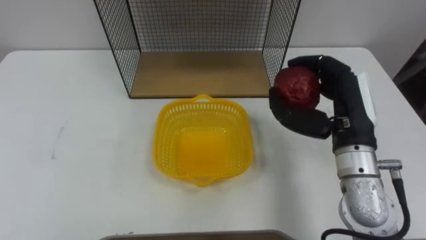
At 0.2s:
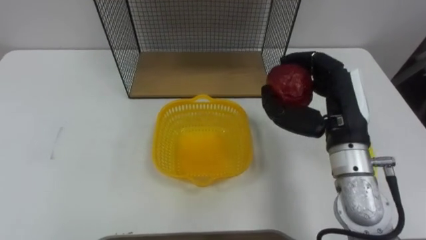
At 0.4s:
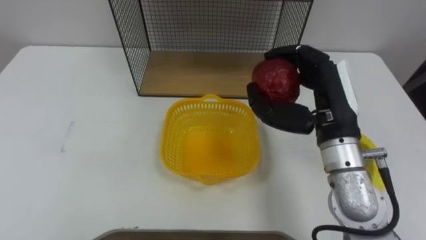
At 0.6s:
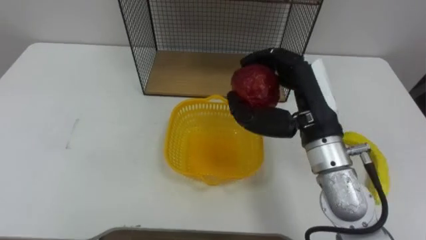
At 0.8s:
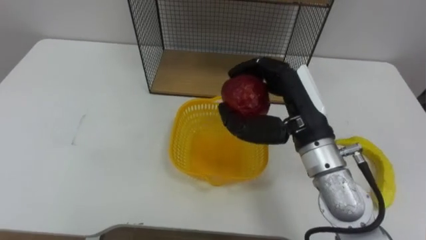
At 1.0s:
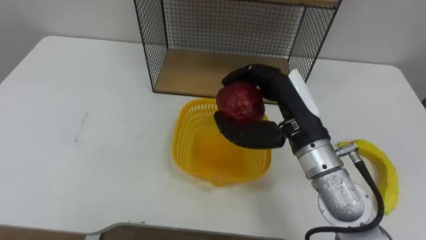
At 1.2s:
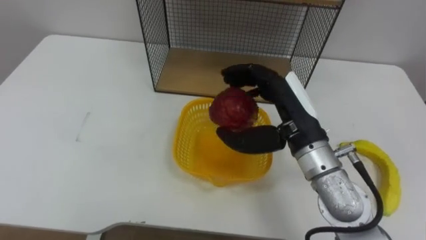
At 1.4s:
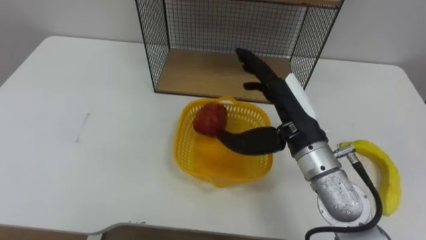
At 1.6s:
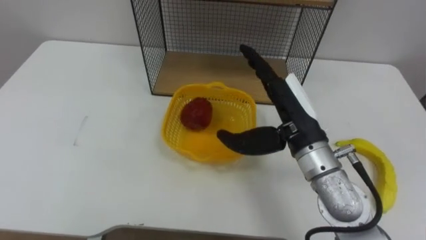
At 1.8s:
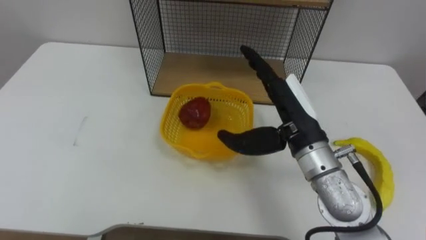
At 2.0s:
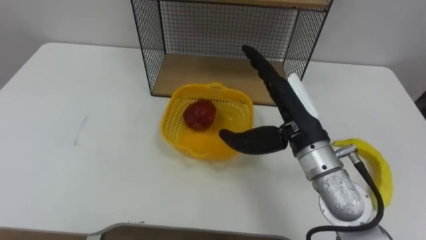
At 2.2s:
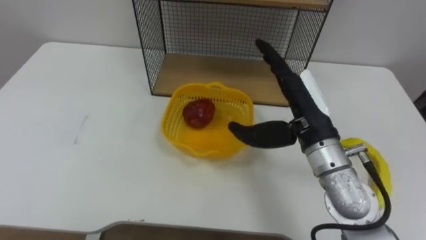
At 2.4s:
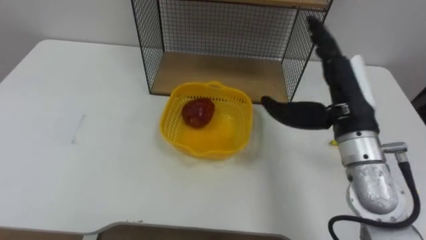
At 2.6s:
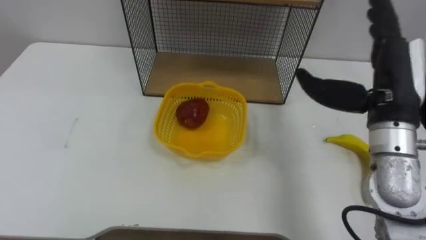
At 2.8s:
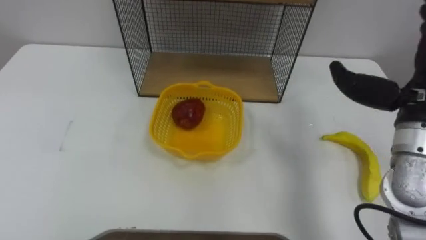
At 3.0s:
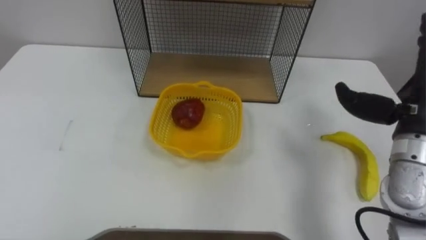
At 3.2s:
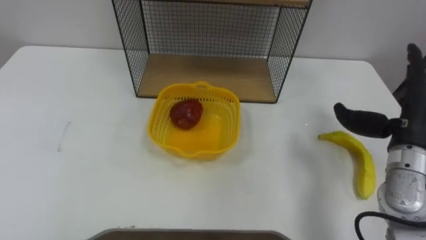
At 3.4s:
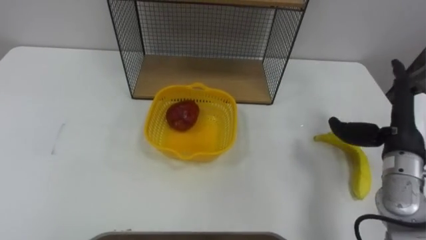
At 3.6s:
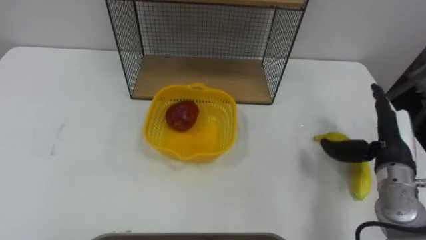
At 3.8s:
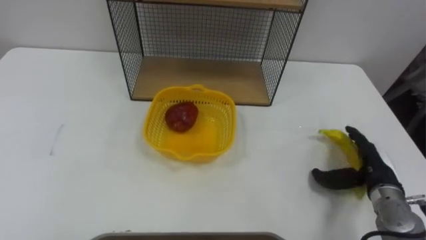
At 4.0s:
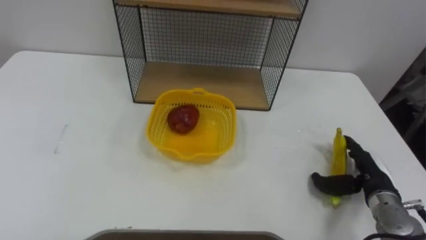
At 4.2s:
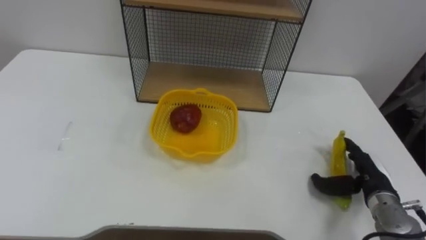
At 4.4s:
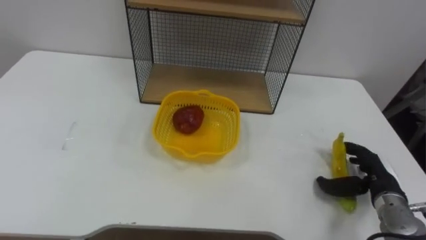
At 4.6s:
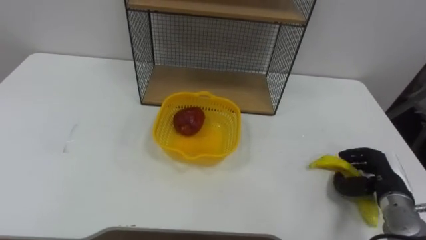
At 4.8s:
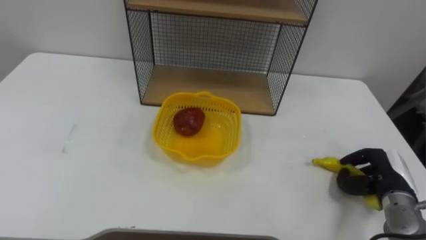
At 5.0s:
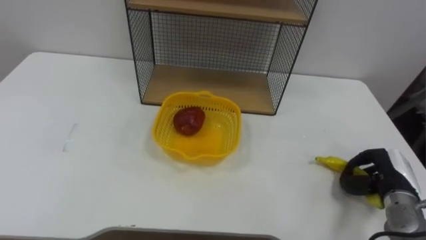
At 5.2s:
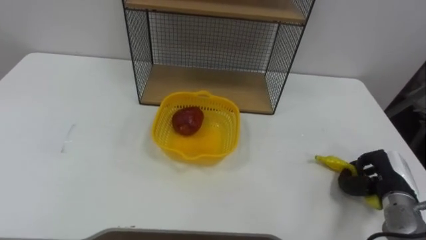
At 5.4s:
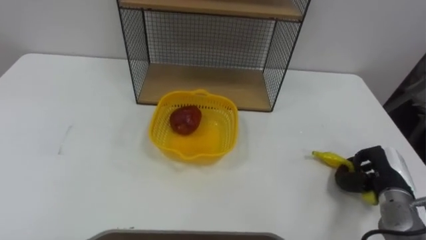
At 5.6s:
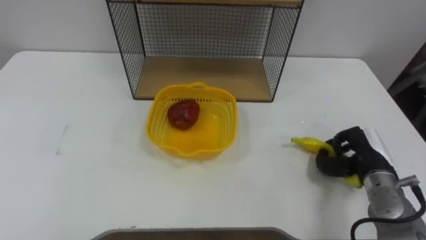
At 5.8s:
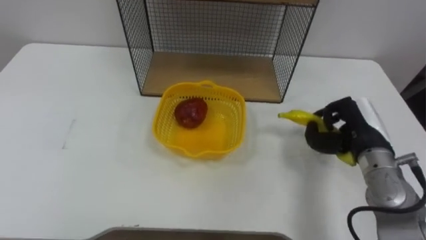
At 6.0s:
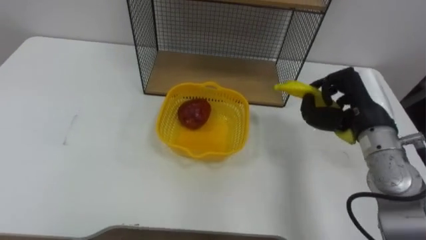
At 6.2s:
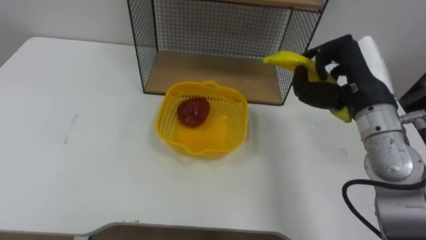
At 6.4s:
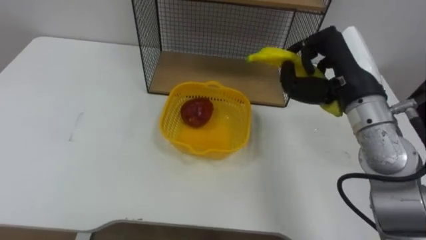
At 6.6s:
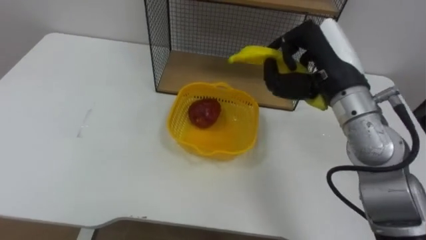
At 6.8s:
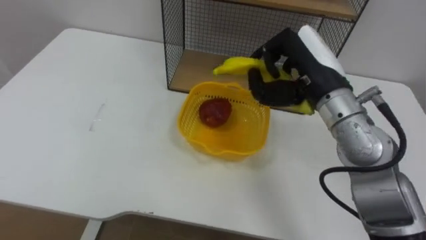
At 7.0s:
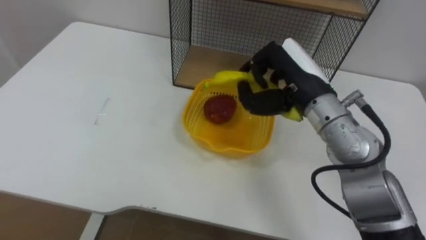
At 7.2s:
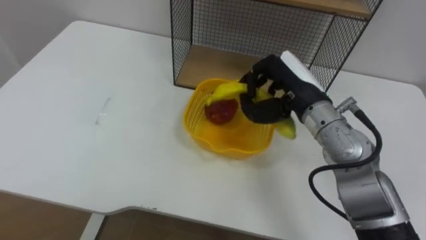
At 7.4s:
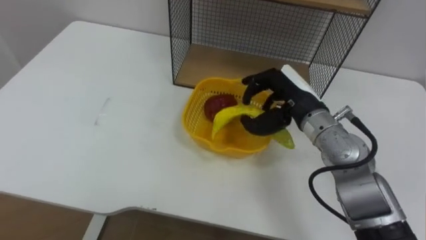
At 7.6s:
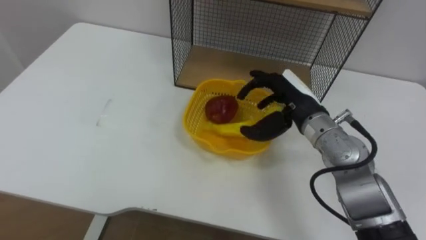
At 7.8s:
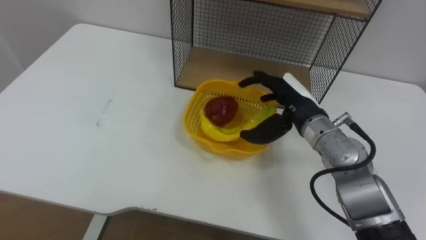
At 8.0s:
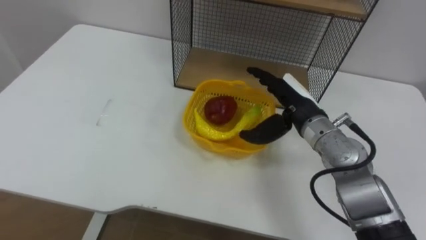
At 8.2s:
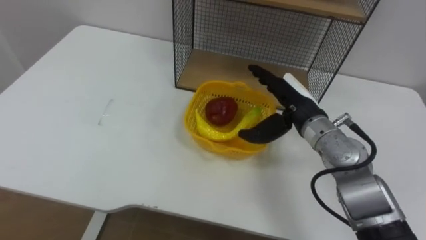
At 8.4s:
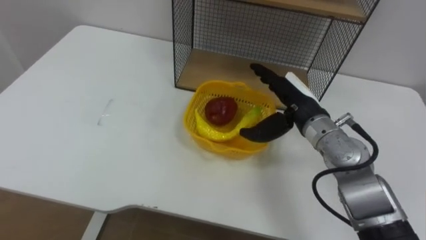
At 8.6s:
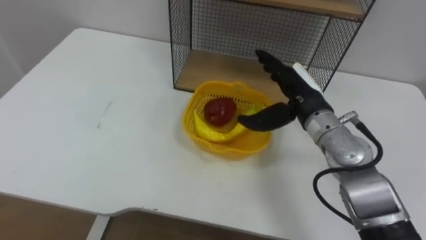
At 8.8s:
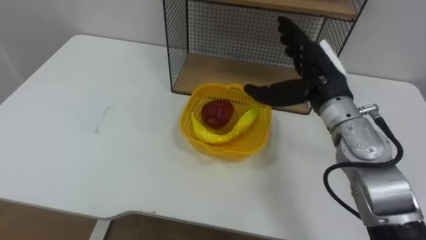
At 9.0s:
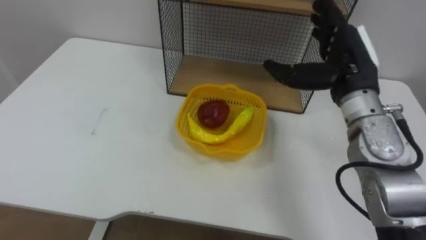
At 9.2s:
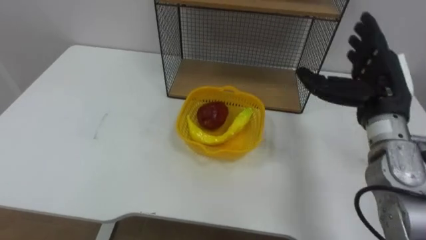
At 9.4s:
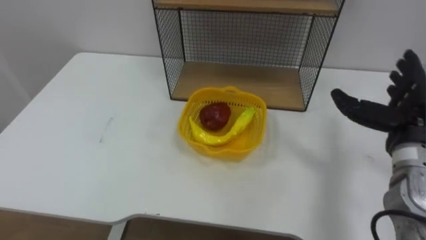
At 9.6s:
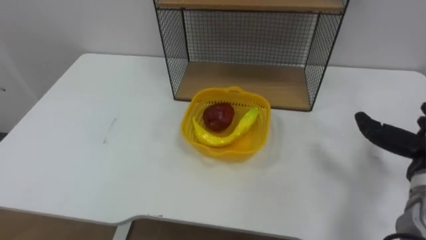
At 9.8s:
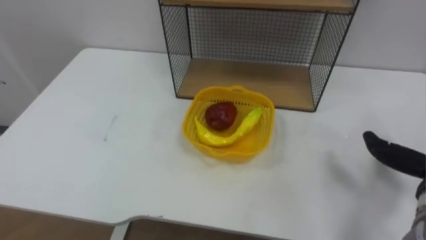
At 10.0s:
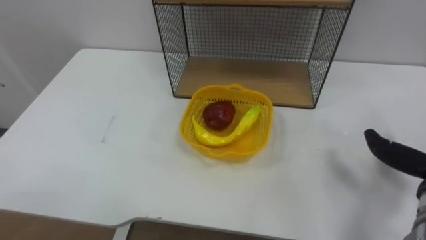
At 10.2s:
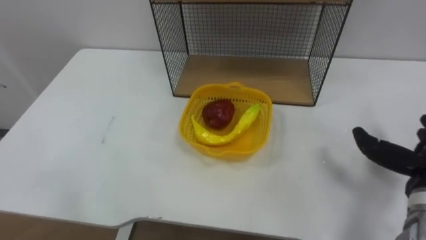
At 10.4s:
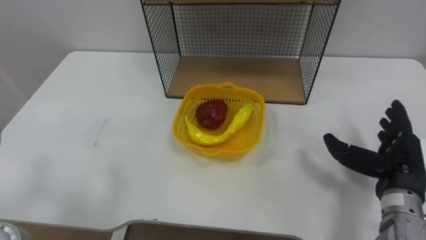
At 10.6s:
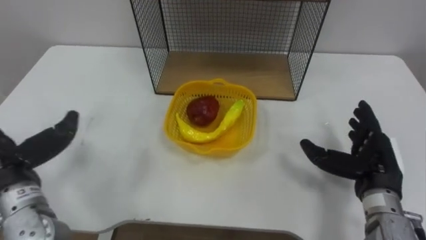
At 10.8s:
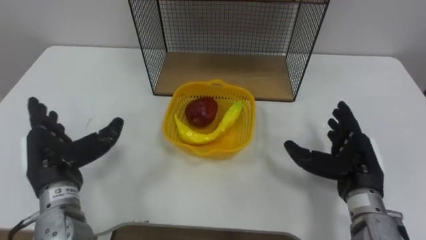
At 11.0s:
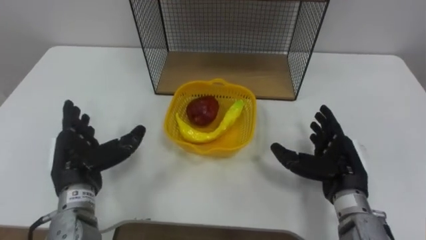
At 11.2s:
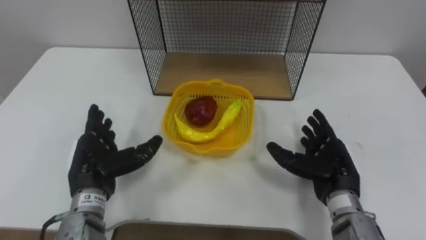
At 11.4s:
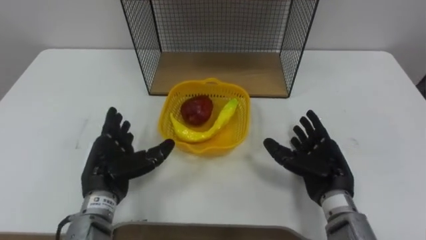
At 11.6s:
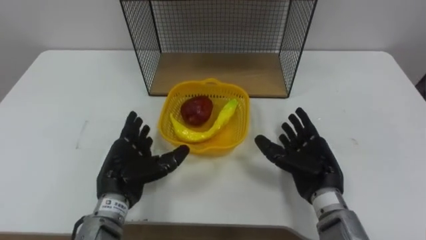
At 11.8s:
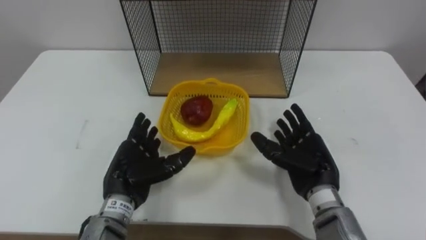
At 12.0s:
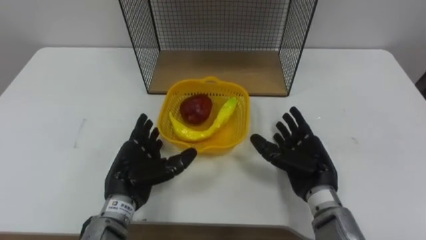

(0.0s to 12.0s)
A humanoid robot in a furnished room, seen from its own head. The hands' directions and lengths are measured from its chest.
Task of the whole recording: Put the fruit on the table into the basket, then place the basket on the shelf.
0.0s - 1.6s: The right hand is displaced to the left by some 10 cm, and opens its fingers.
3.0s - 4.4s: The right hand shifts roughly 20 cm downward.
4.4s - 6.0s: The right hand is displaced upward, to the left and forward by about 20 cm, and closes.
6.0s - 7.6s: The right hand goes approximately 10 cm to the left, and opens up.
7.6s - 9.0s: The right hand is displaced upward and to the right by some 10 cm.
10.4s - 12.0s: The right hand shifts some 15 cm to the left.

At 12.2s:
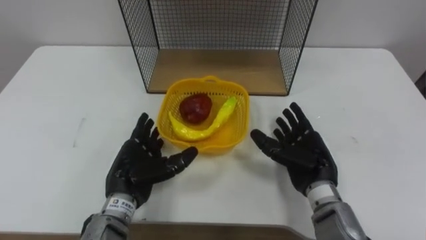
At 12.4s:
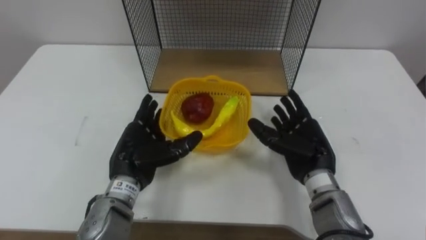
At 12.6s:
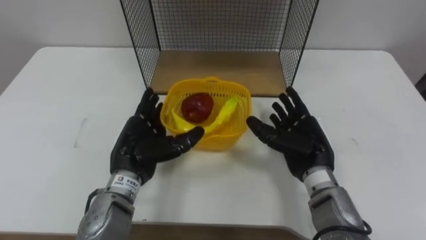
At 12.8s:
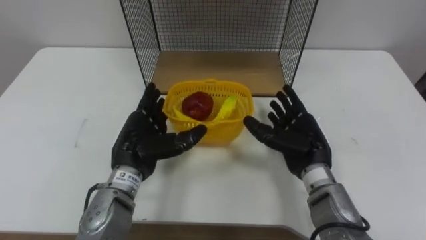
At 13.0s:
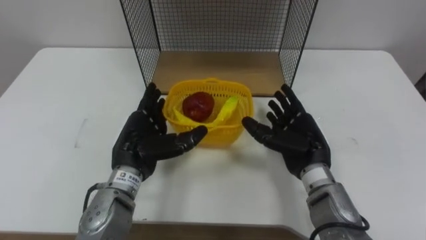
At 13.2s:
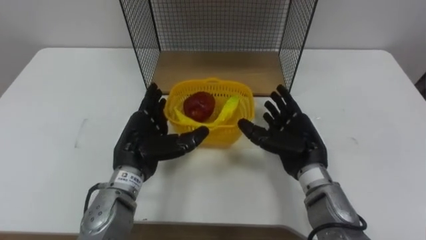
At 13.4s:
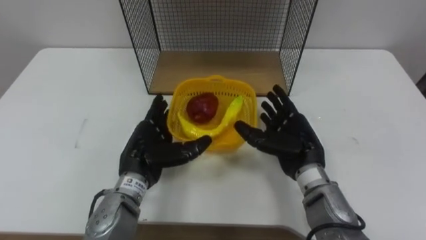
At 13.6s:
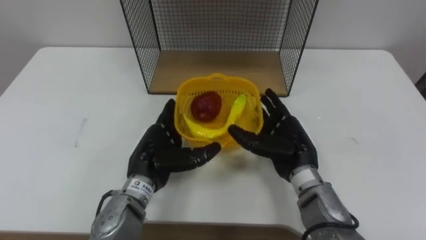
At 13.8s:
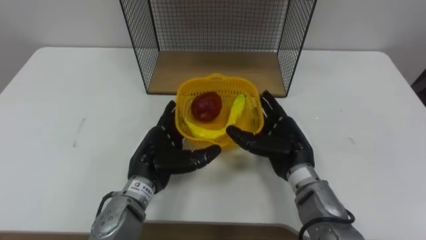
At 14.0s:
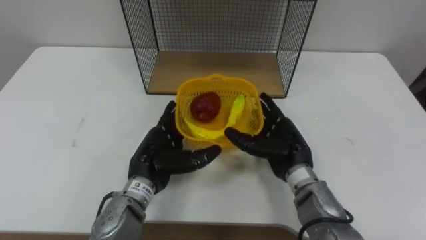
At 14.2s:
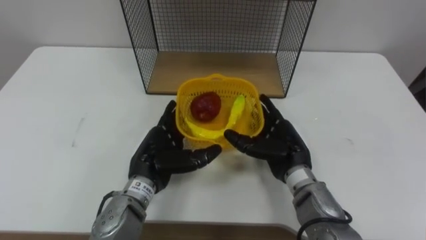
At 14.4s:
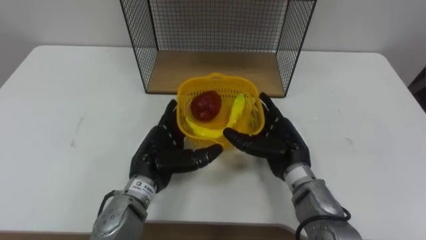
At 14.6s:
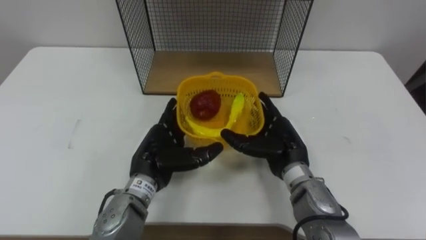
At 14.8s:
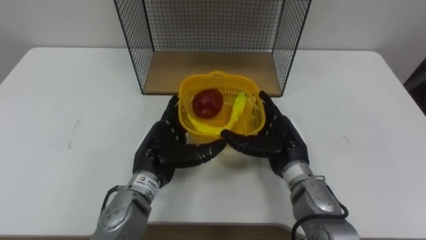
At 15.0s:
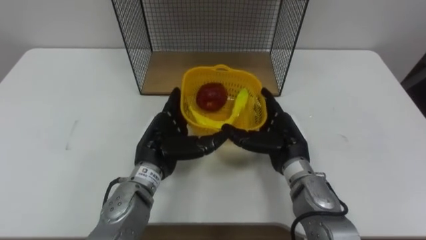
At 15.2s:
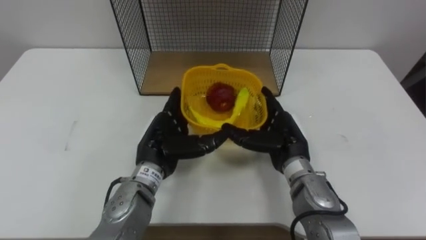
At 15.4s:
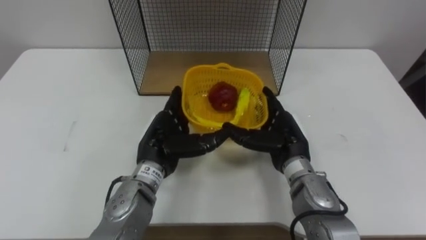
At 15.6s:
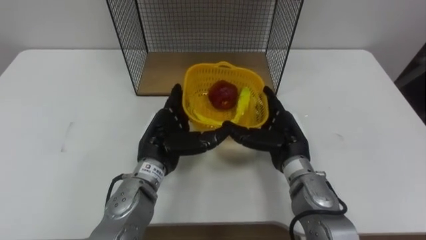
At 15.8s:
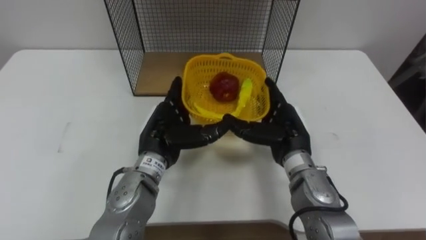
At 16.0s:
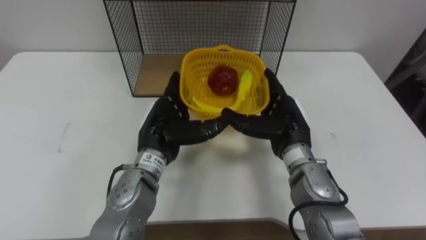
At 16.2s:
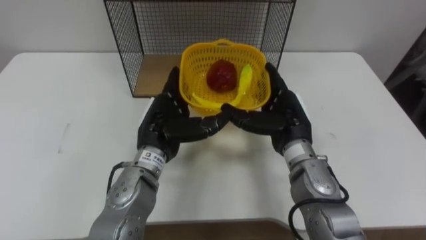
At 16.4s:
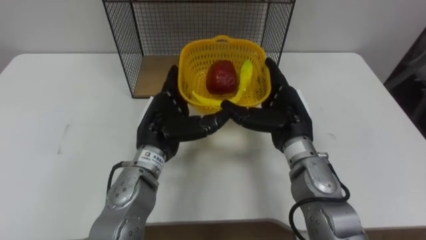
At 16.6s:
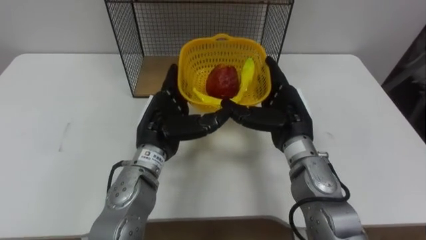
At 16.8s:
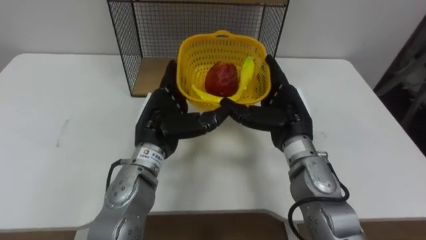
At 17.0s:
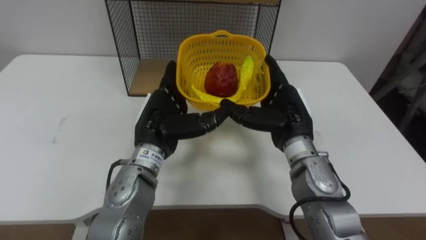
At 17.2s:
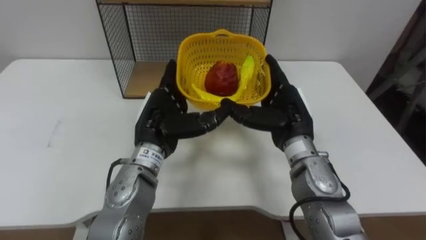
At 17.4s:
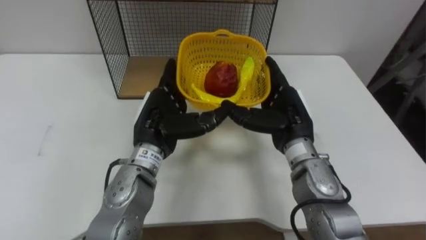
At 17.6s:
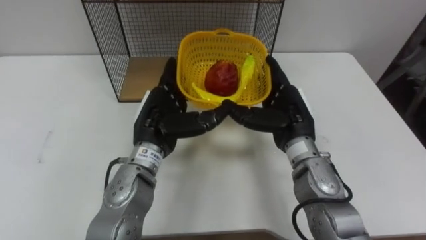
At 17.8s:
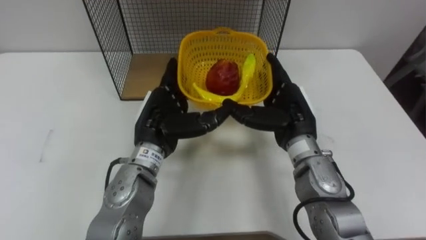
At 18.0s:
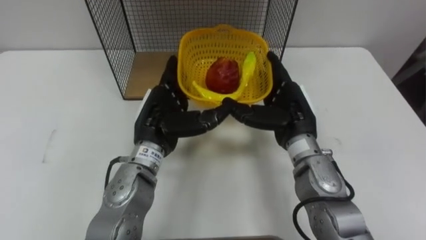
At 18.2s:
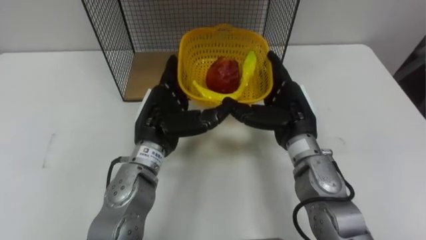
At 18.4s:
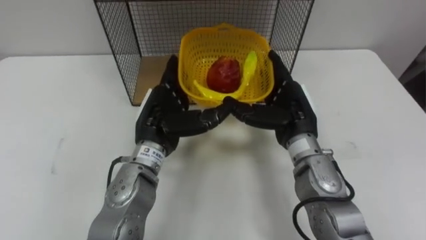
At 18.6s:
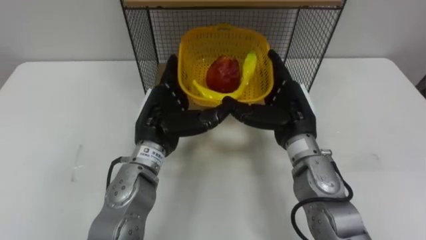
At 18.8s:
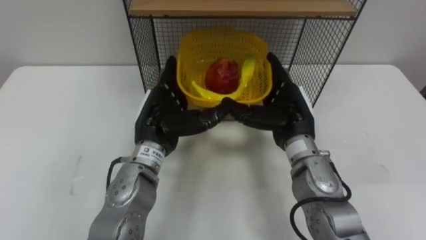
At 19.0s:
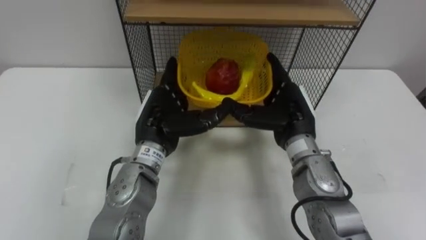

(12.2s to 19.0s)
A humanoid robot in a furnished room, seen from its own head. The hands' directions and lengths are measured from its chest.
Task of the whole recording: Put the fruit on the table into the basket, then place the basket on the shelf.
12.2s - 13.6s: There are only small adjustments of the hands.
13.6s - 15.0s: The hands move only a little.
